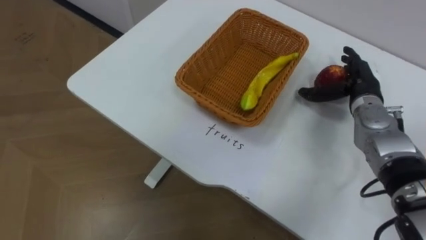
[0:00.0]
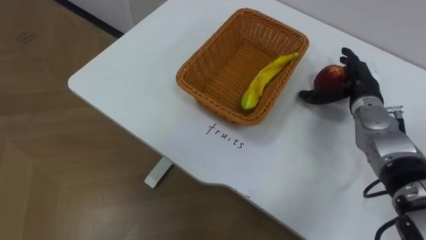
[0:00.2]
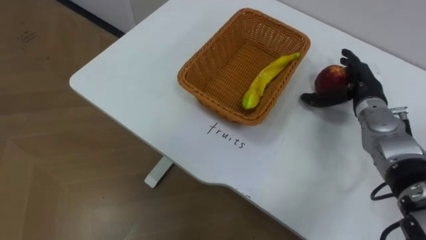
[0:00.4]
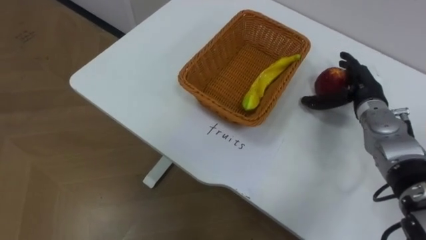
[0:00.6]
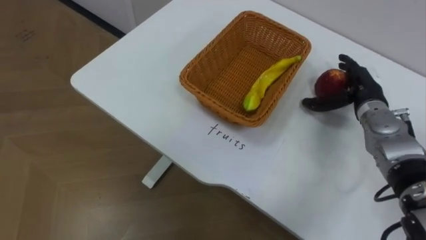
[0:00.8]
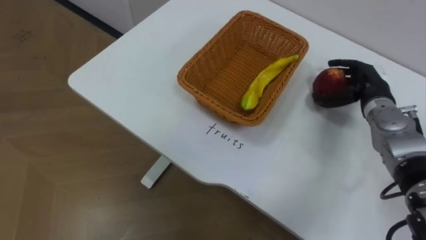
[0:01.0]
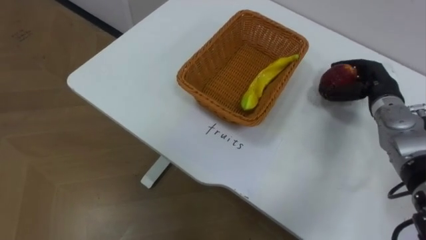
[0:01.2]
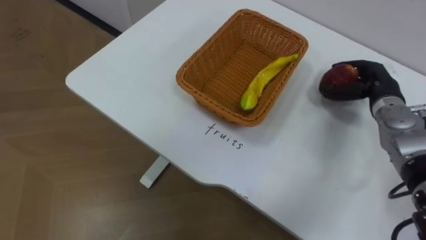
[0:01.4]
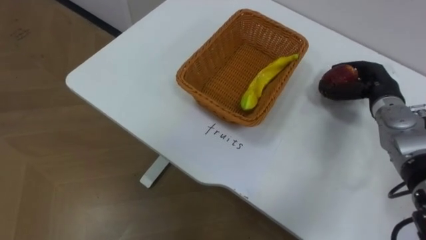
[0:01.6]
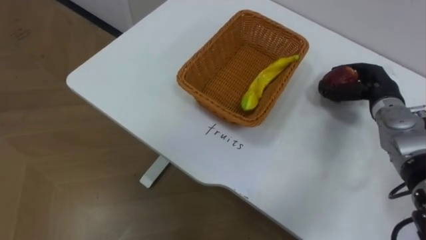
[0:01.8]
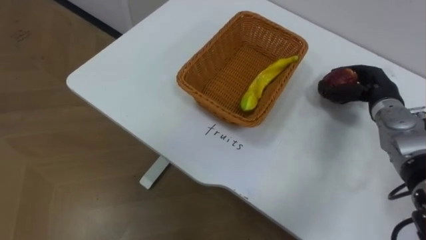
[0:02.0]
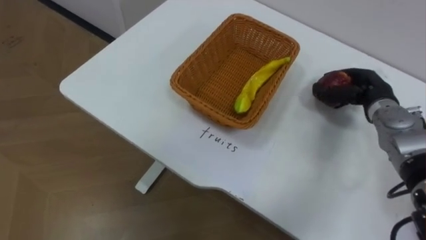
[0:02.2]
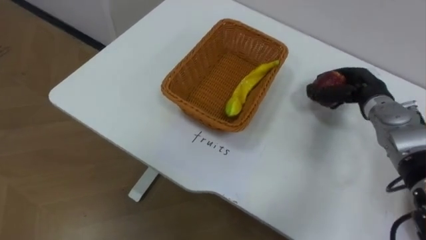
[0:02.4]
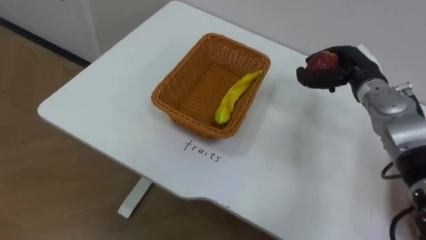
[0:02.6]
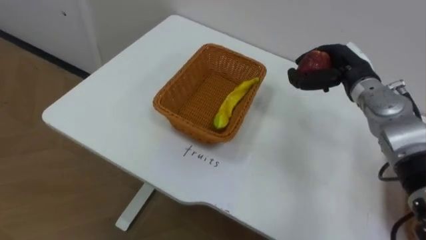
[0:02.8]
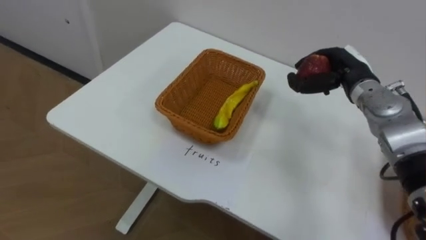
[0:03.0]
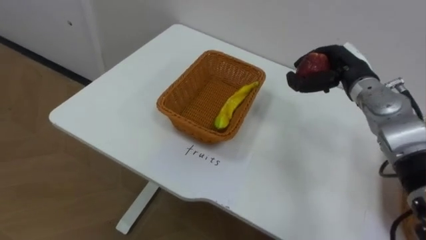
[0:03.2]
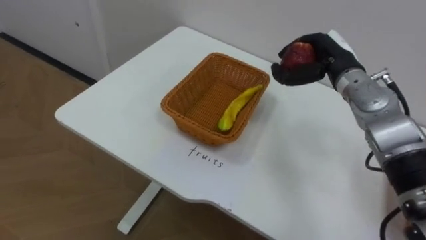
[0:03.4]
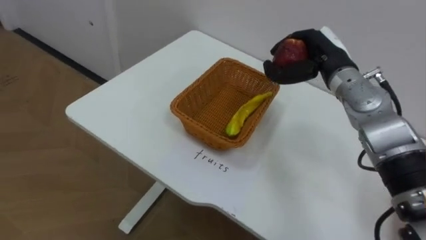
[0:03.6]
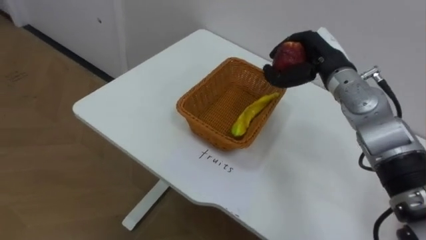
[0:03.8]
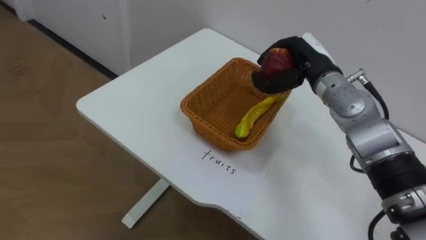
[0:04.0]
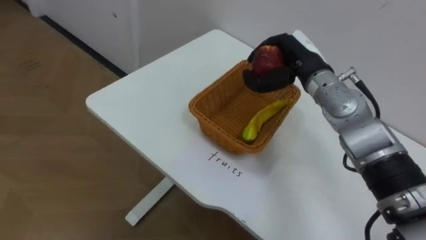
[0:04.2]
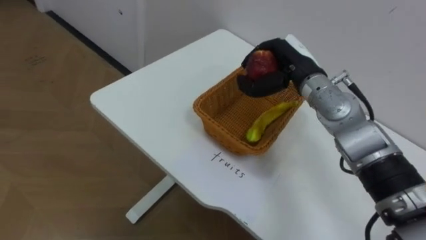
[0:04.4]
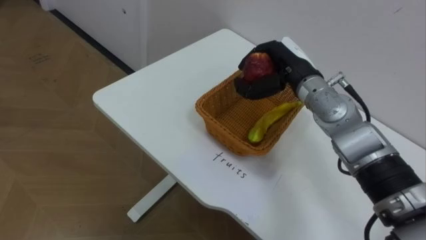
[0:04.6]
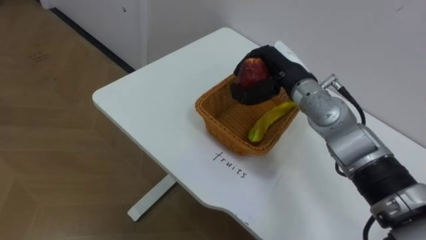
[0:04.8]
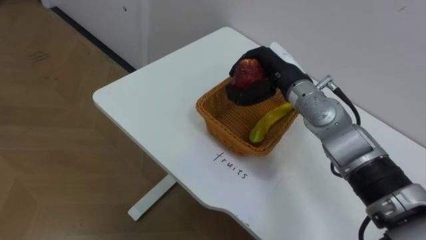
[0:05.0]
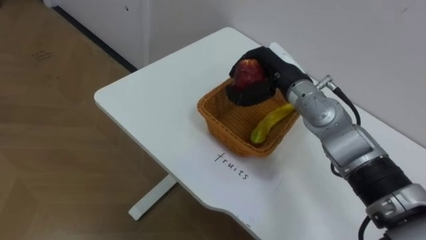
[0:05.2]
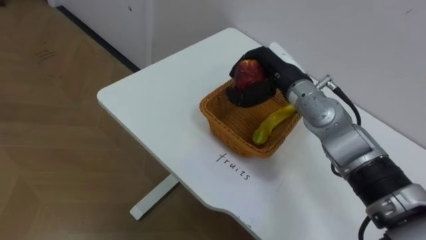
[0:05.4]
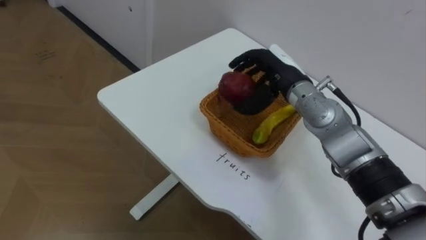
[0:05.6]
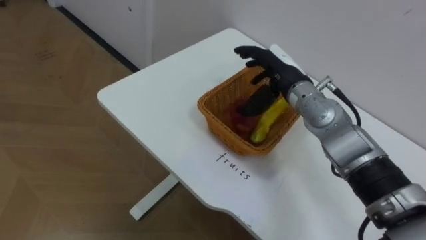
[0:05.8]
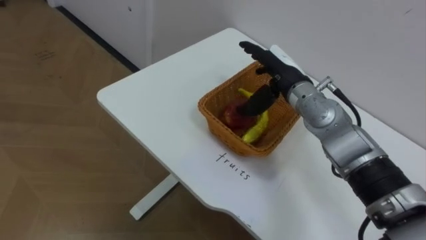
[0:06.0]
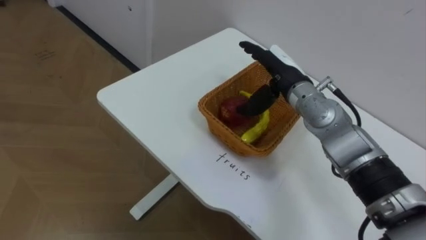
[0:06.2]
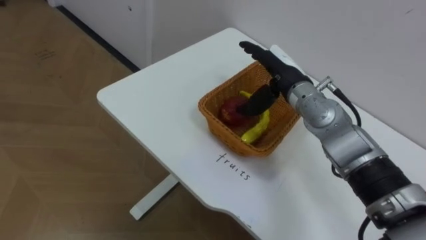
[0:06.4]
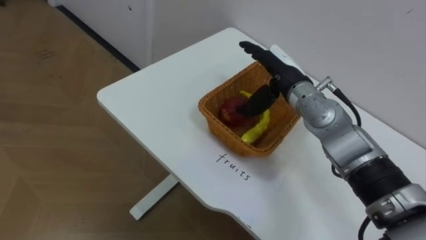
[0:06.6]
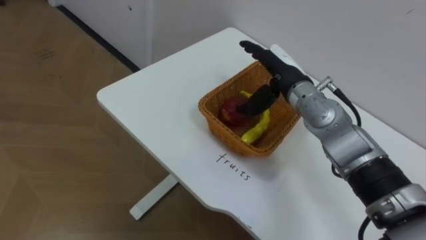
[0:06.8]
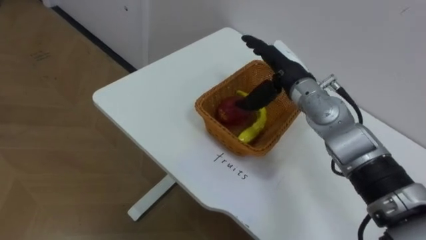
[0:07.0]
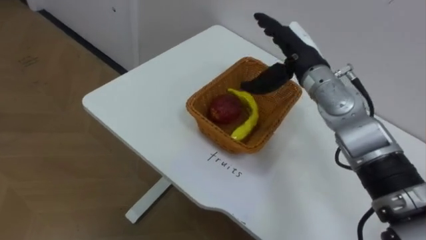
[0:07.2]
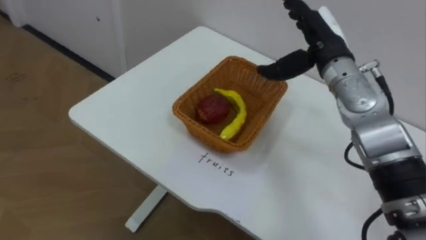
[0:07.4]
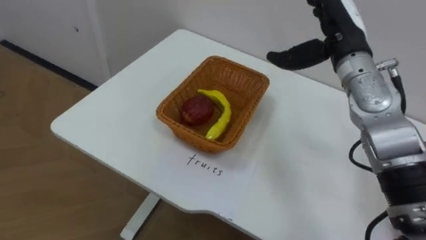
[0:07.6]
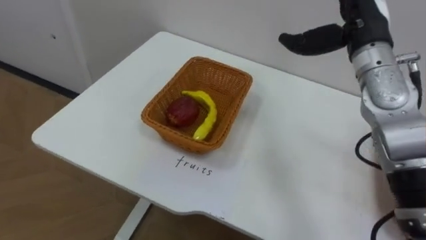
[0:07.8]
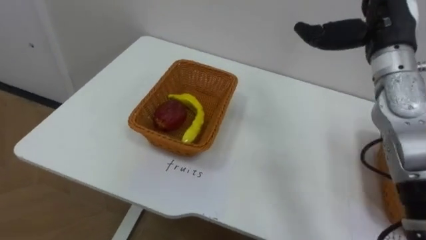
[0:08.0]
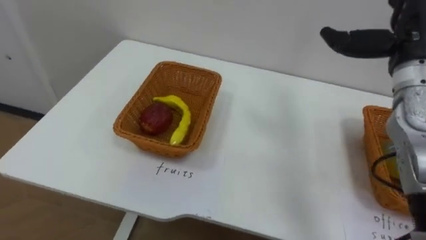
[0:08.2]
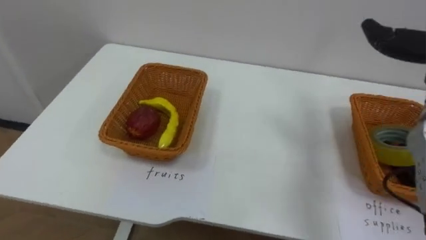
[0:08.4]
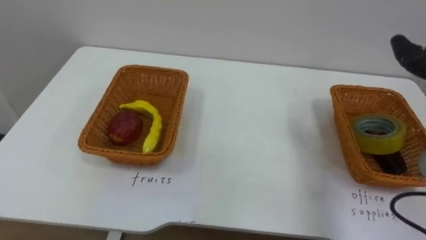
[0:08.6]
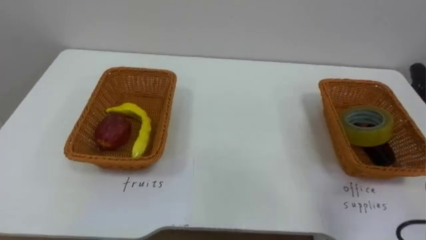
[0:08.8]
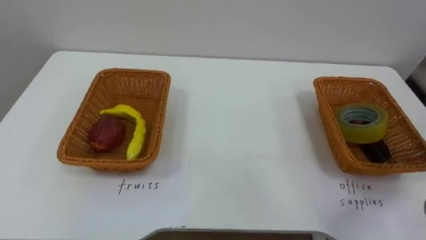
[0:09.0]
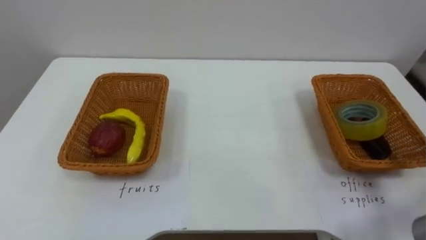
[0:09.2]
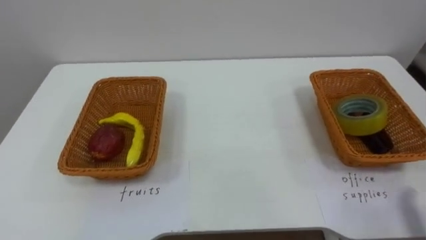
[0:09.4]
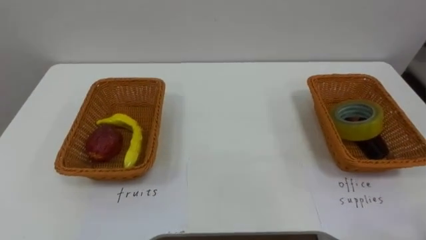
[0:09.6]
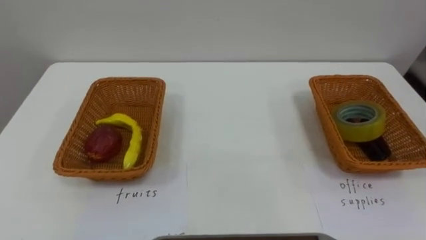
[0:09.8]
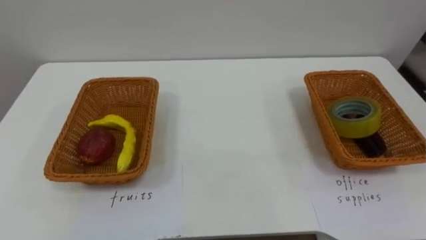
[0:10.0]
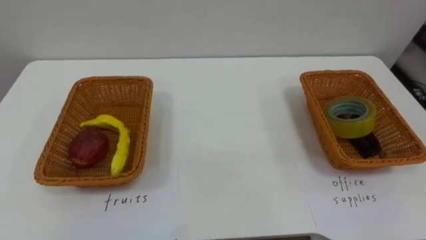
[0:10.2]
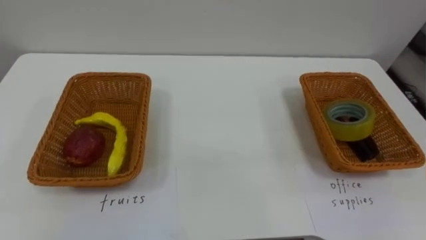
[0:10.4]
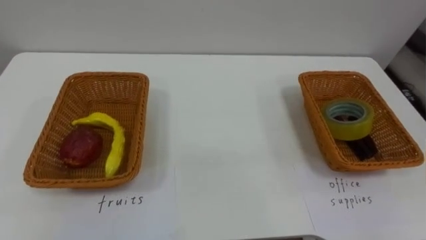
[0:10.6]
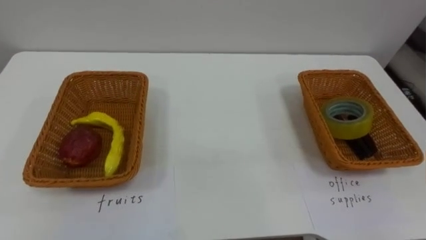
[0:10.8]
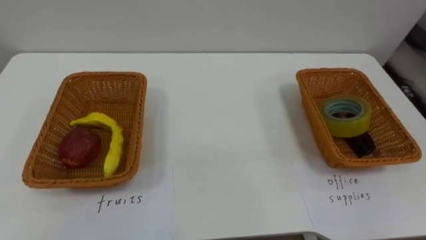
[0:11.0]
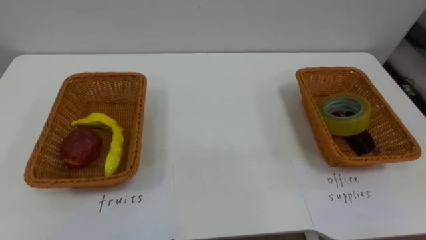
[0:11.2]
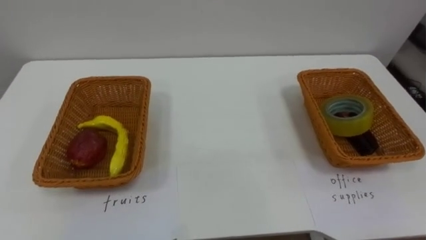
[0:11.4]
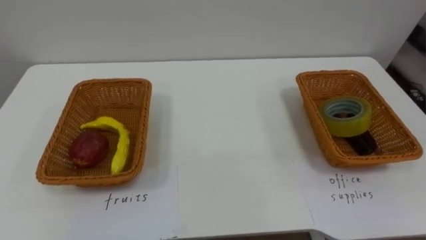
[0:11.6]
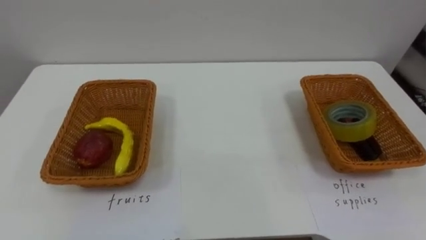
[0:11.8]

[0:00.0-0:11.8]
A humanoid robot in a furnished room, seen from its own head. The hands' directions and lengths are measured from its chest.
Task of the whole recording: Separate the items on the table and place them into the two baskets.
0:00.0 to 0:01.4: The right hand closes up.
0:01.4 to 0:03.0: The right hand heads to the left, covering roughly 5 cm.
0:03.0 to 0:04.4: The right hand goes approximately 10 cm to the left.
0:04.4 to 0:06.0: The right hand opens up.
0:06.0 to 0:07.4: The right hand shifts roughly 10 cm upward and to the right.

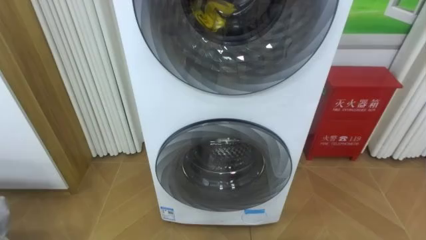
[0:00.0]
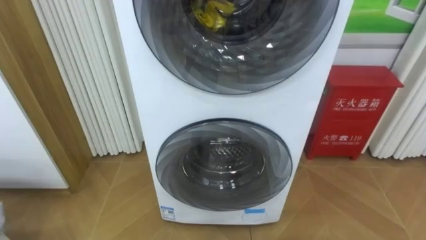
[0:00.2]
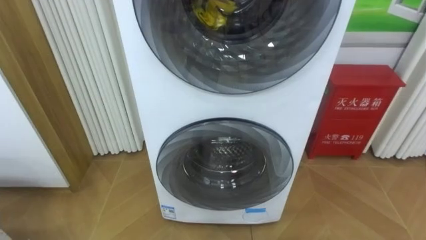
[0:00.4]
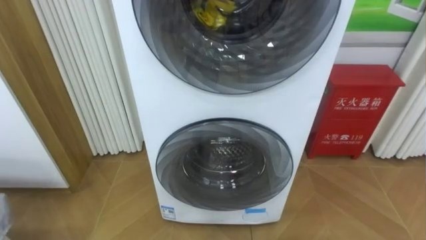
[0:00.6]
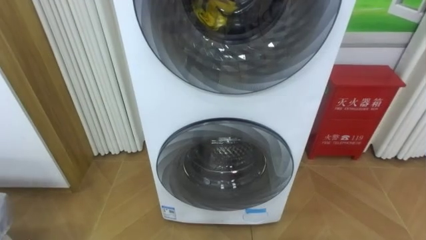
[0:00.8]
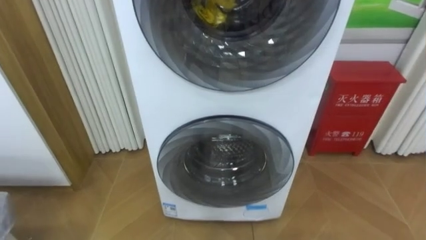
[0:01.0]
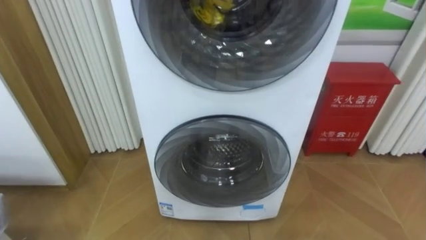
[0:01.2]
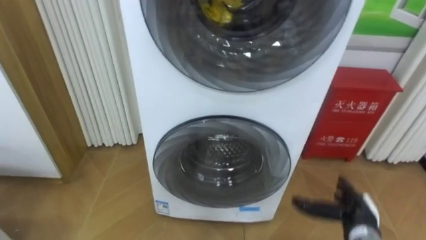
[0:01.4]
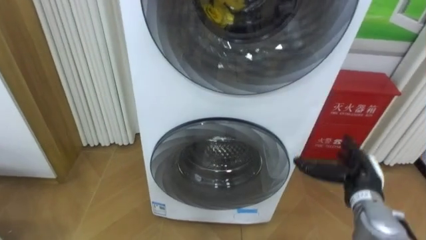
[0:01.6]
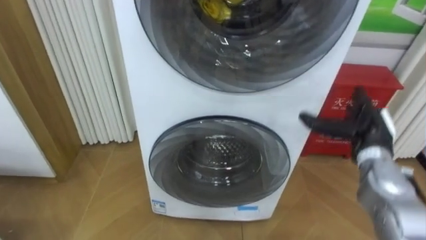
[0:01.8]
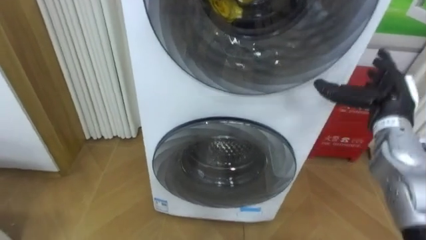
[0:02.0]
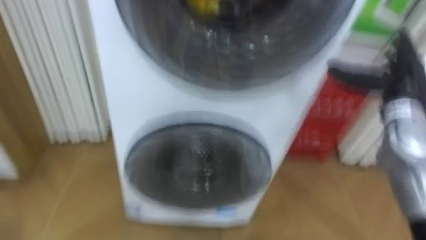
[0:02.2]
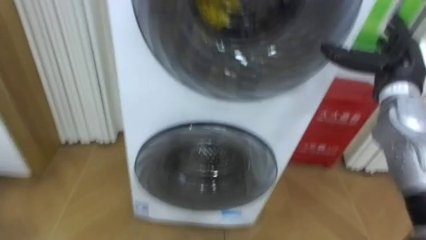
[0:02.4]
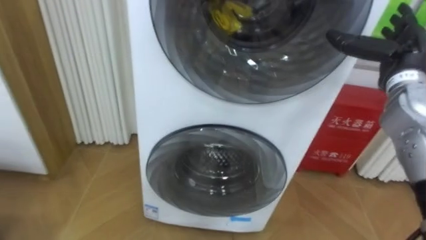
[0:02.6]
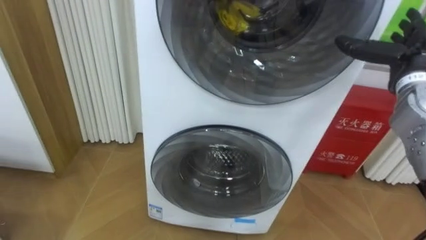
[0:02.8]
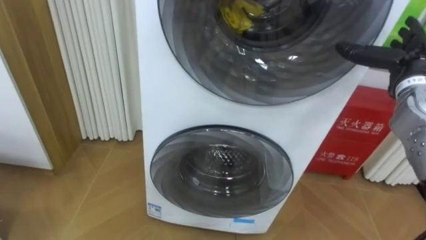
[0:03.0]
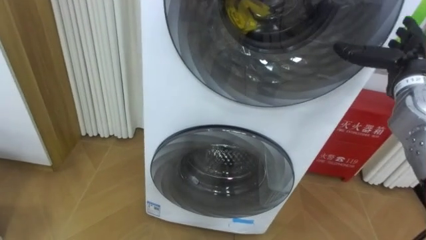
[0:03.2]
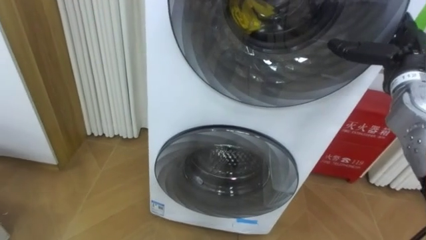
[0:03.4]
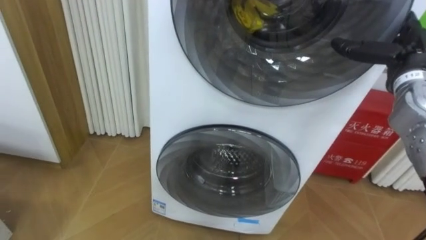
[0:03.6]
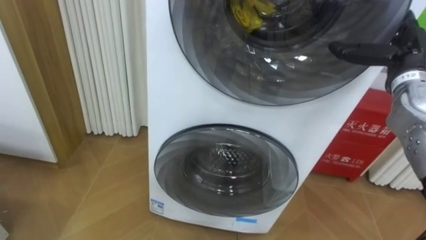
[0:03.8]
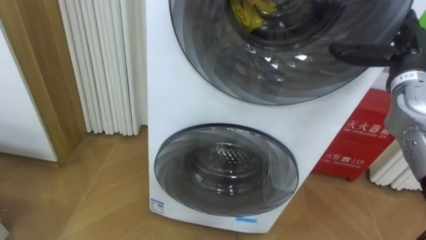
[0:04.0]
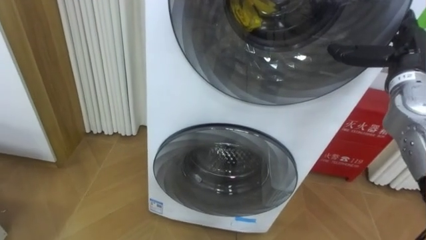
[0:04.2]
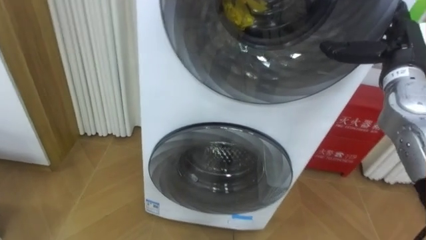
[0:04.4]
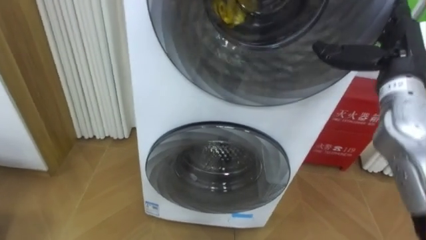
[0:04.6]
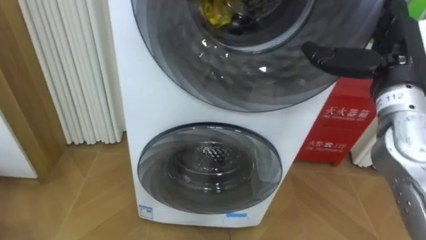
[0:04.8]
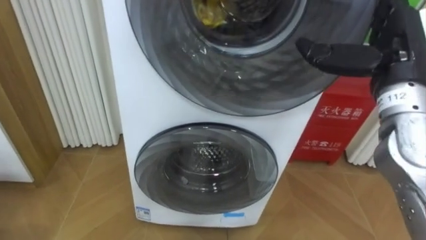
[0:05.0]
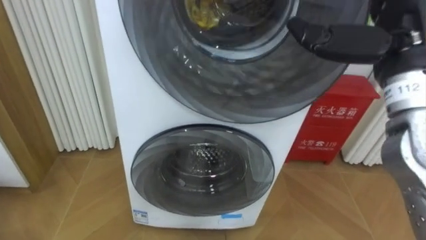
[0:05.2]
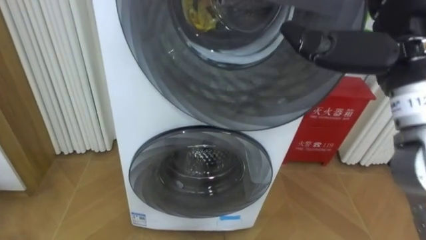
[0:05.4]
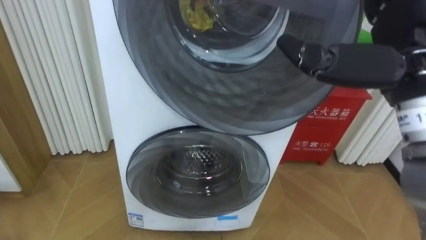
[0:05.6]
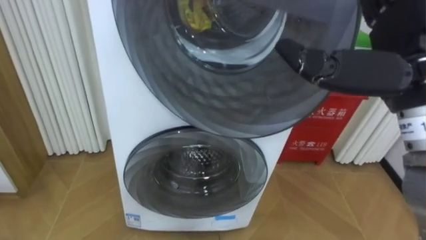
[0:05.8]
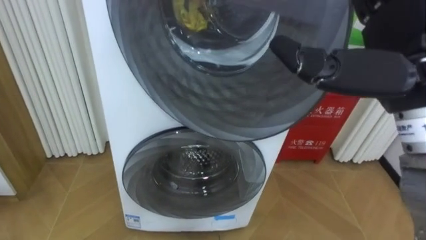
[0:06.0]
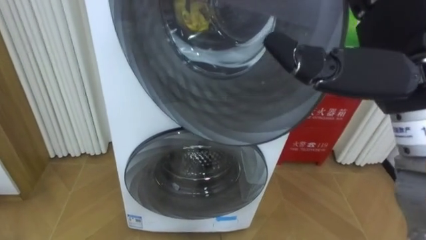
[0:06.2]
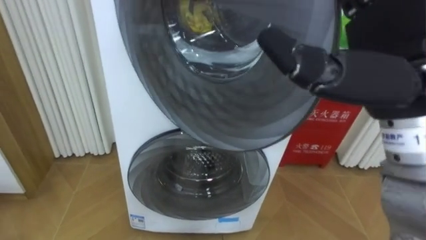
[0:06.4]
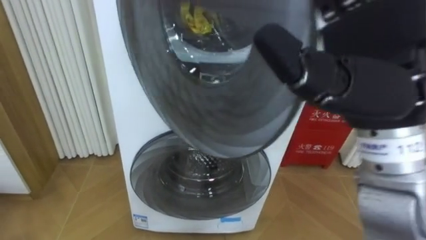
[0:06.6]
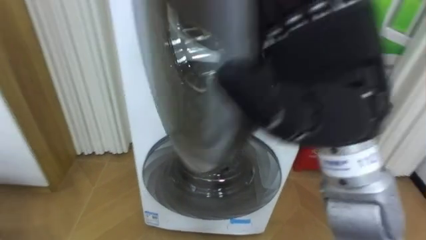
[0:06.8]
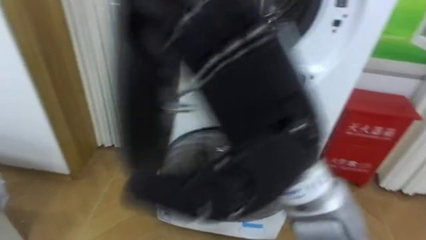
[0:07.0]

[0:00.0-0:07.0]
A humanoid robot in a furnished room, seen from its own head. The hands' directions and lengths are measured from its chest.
Task of the whole recording: Open the washing machine door, take out the yellow clothes, place them in the box on the right, and close the washing machine door.
0:01.4 to 0:02.8: The right hand travels upward and forward by about 30 cm.
0:04.2 to 0:05.6: The right hand goes some 20 cm backward, to the left and upward.
0:05.6 to 0:07.0: The right hand heads to the left and backward, covering approximately 15 cm.
